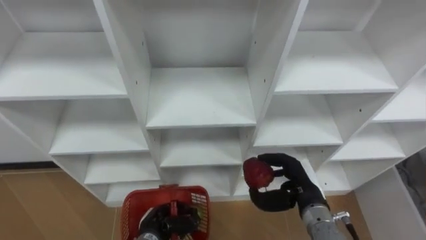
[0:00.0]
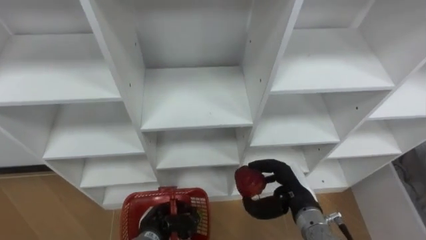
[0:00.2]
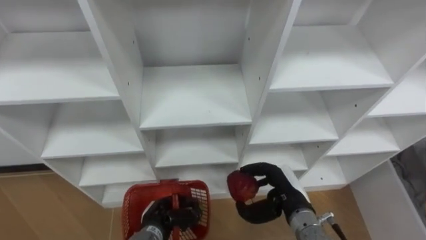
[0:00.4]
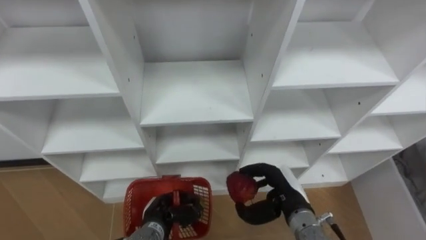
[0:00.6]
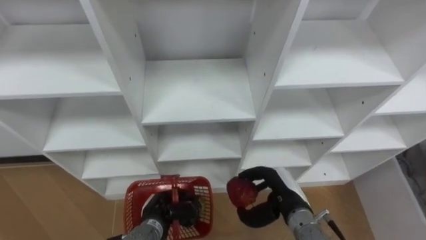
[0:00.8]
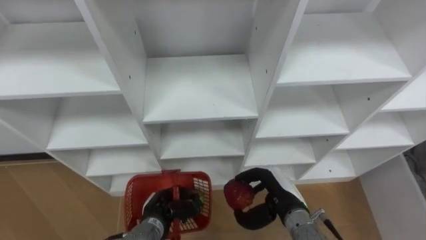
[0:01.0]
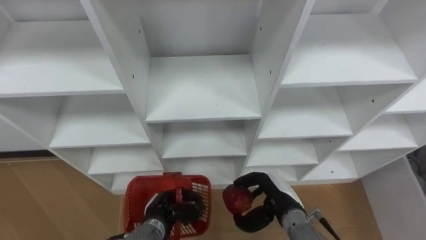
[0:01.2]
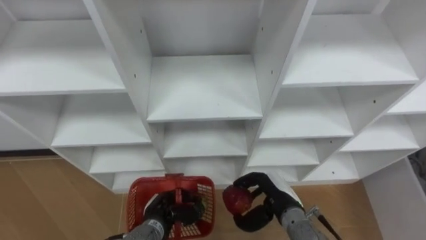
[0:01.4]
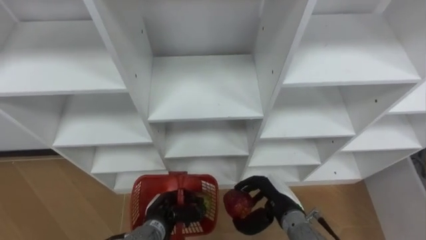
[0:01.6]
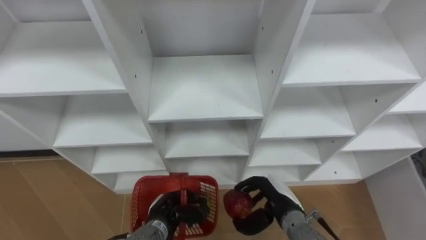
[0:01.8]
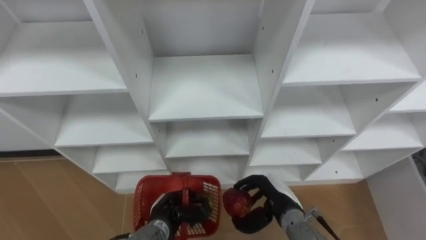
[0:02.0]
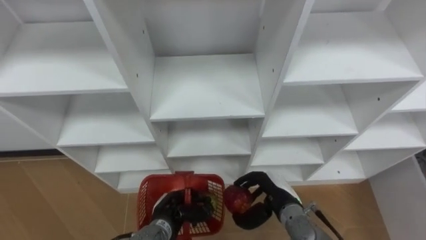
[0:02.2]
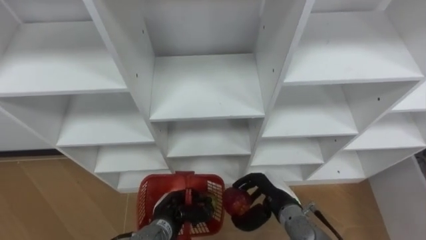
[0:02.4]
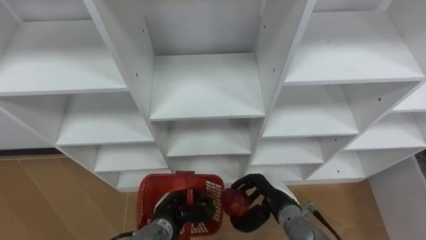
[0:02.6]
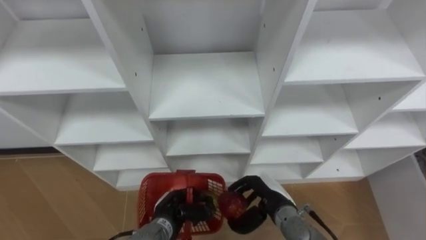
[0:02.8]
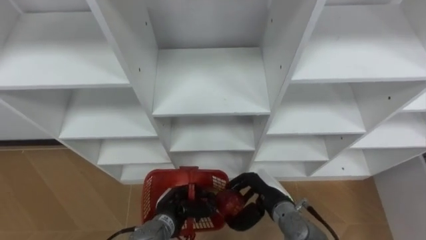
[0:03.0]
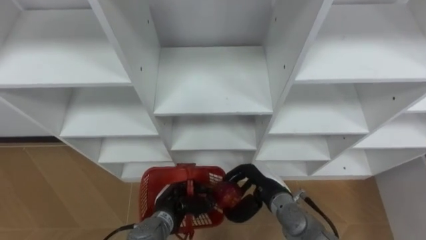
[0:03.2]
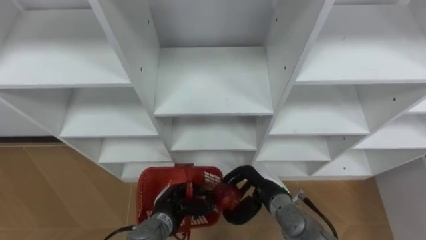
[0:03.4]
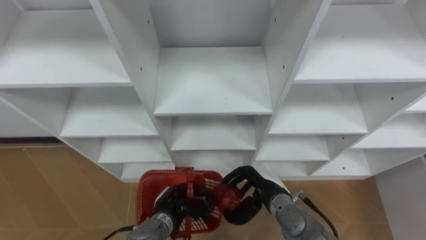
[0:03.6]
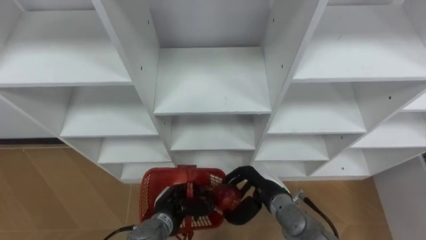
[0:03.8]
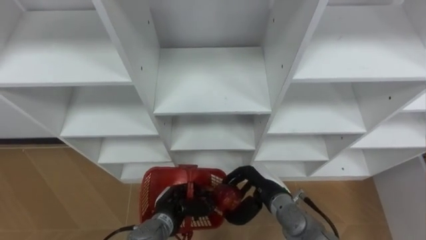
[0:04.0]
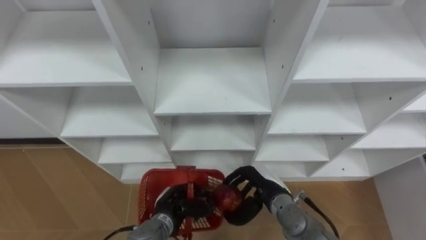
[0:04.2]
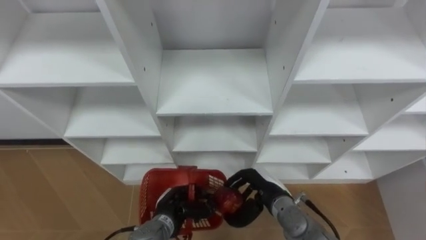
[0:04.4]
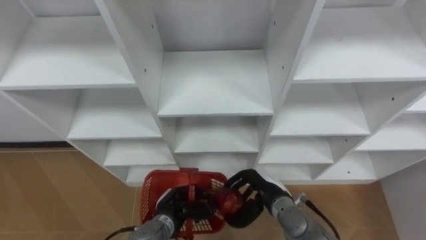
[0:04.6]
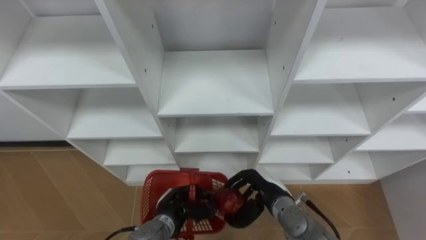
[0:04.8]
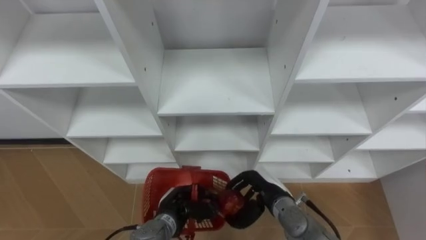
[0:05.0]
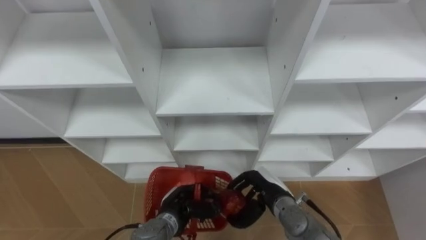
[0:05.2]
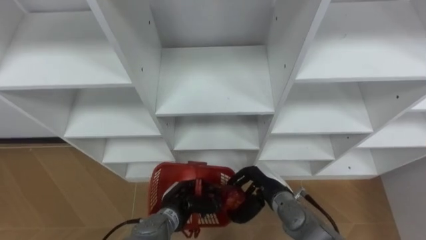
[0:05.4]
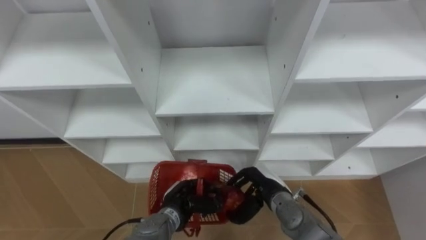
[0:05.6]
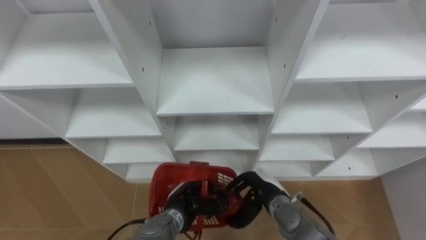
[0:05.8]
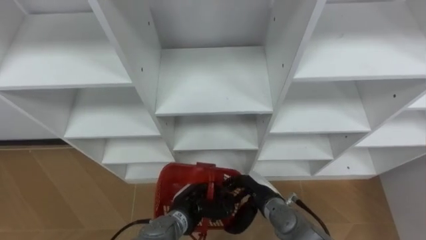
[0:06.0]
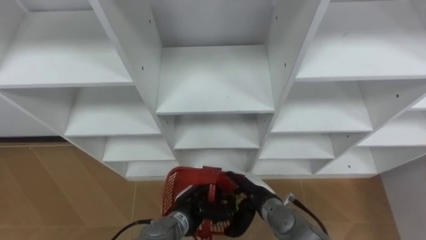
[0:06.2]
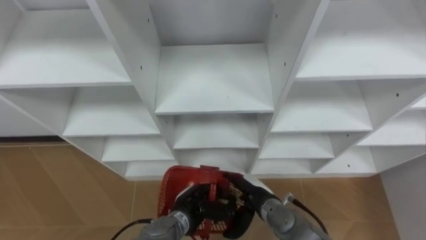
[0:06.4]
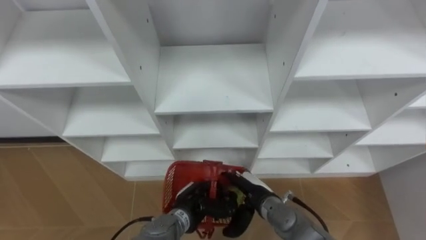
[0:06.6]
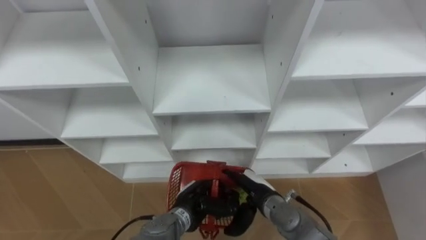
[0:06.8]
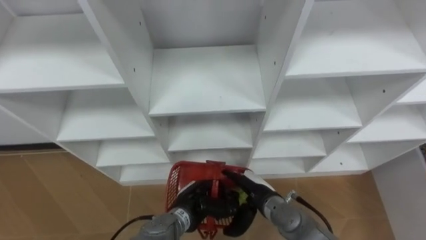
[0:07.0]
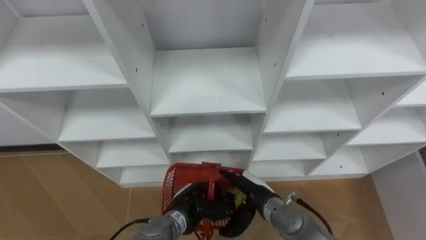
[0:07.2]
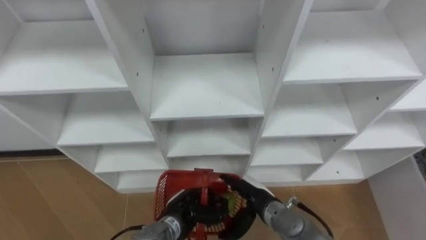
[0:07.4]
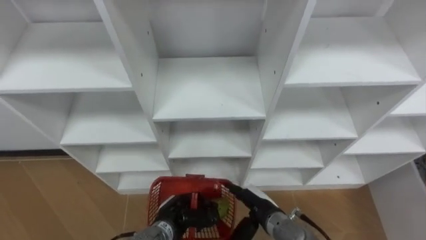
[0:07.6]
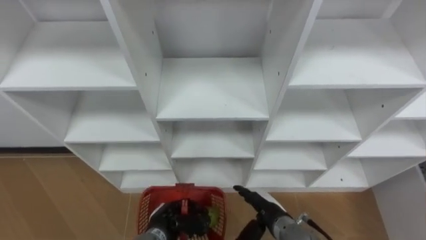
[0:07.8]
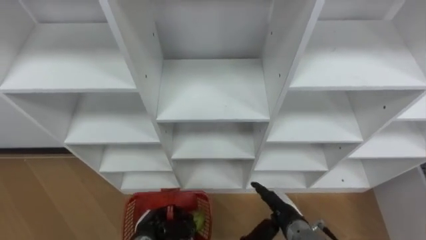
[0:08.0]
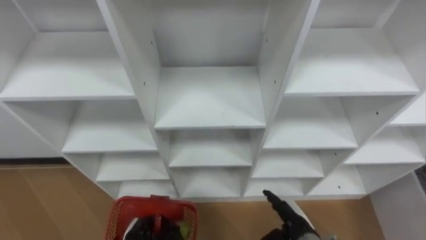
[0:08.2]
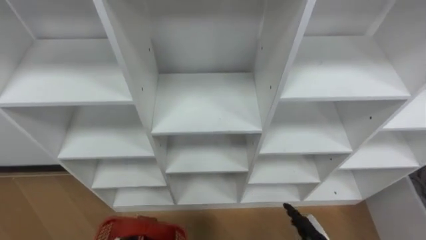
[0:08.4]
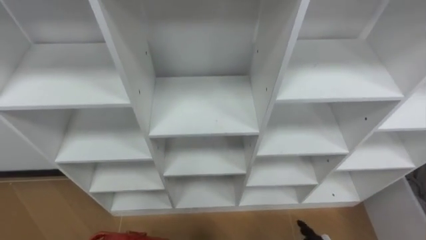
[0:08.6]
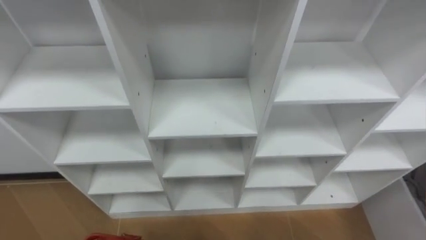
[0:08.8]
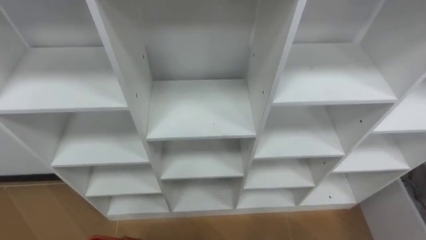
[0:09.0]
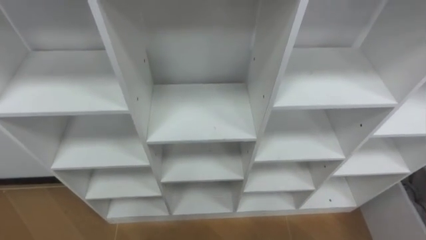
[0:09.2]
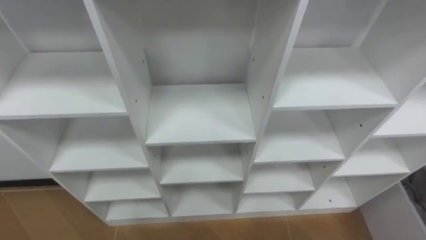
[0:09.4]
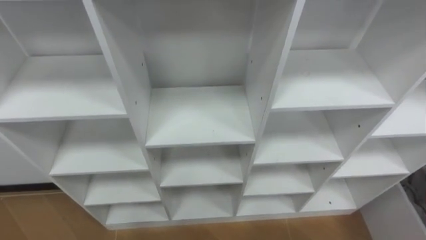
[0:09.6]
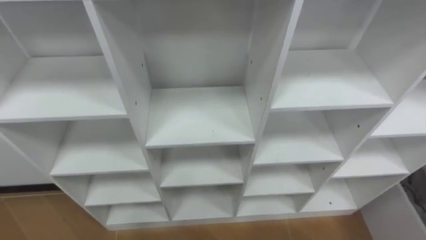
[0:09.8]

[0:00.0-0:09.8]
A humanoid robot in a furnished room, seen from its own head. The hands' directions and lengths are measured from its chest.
Task of the whole recording: Hold the basket and collect the fruits from 3 different cells of the closet into it.
0:00.0 to 0:01.4: The right hand moves to the left, some 5 cm.
0:01.4 to 0:05.6: The hands stay close to where they were, moving slightly.
0:05.6 to 0:07.0: The right hand opens.
0:07.0 to 0:08.4: The right hand is displaced to the right and backward by roughly 15 cm.

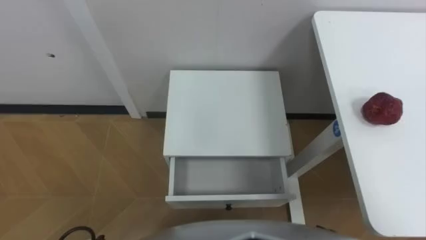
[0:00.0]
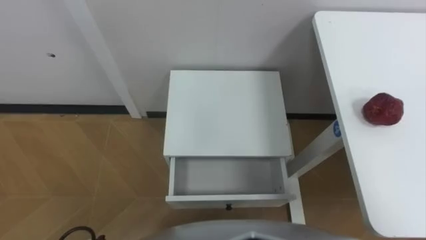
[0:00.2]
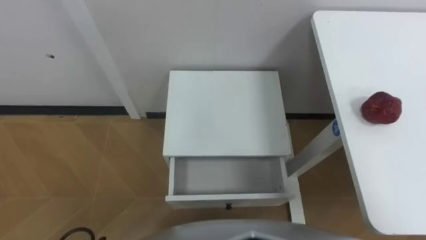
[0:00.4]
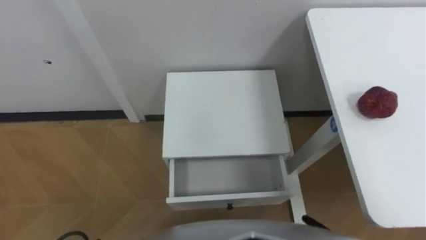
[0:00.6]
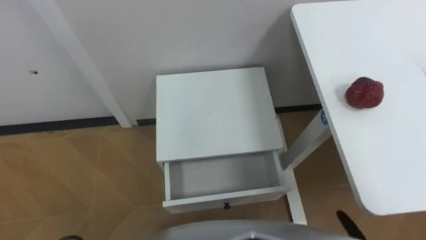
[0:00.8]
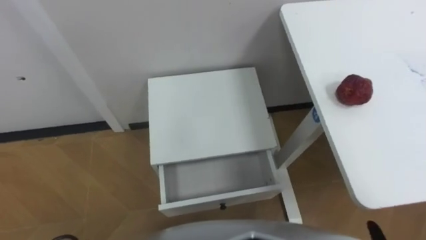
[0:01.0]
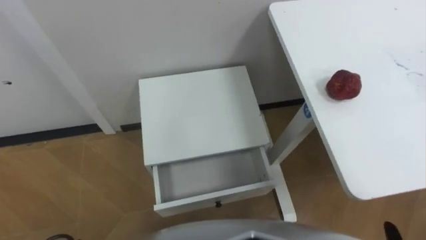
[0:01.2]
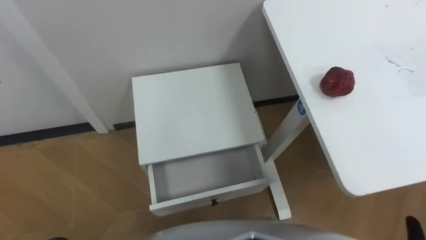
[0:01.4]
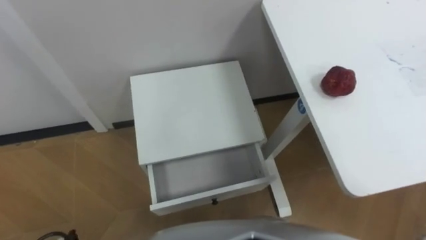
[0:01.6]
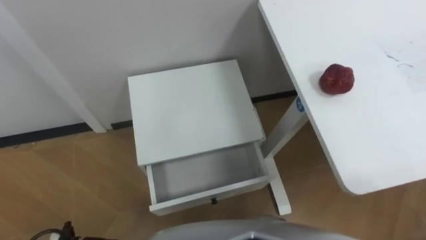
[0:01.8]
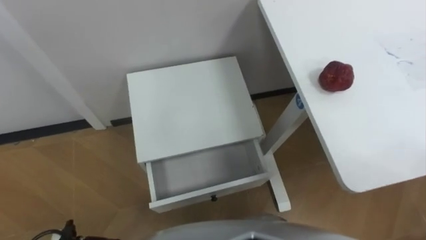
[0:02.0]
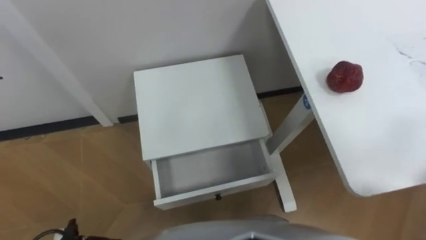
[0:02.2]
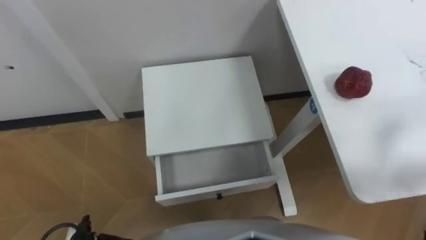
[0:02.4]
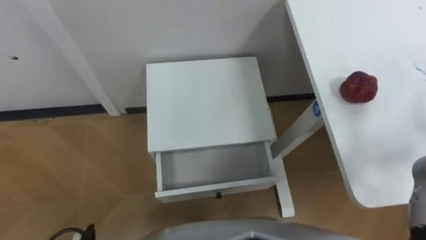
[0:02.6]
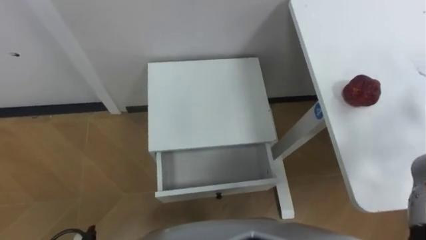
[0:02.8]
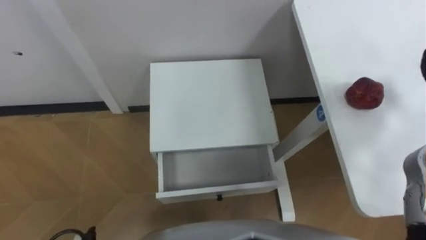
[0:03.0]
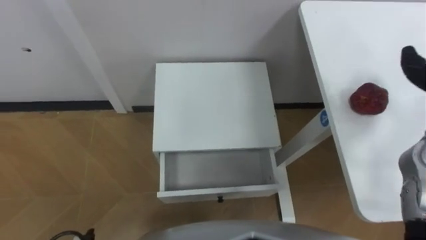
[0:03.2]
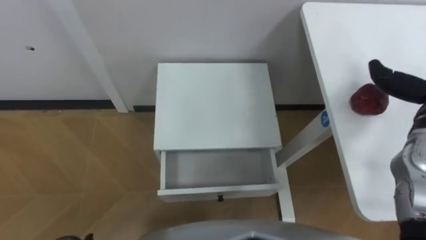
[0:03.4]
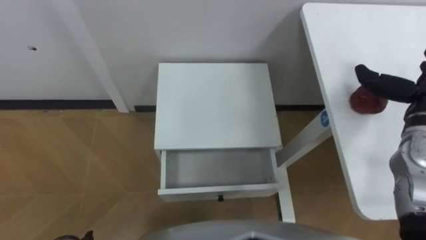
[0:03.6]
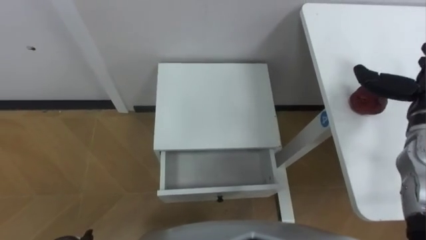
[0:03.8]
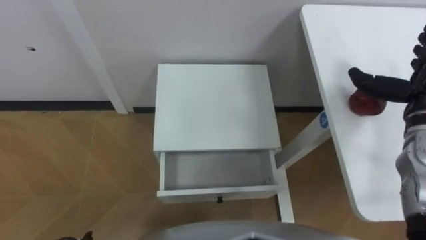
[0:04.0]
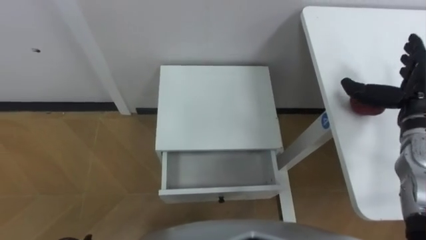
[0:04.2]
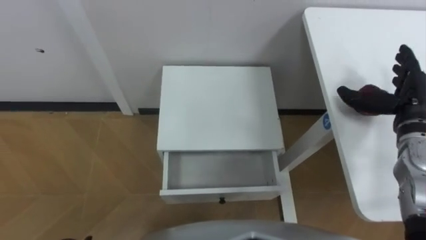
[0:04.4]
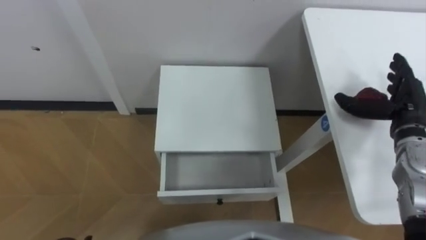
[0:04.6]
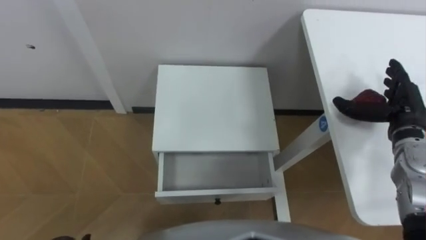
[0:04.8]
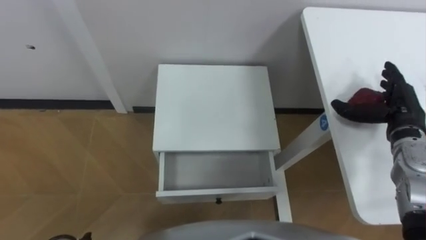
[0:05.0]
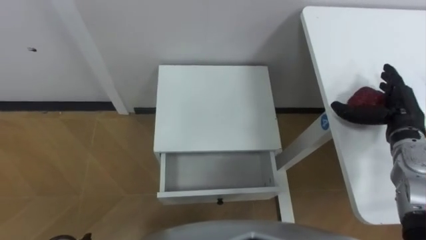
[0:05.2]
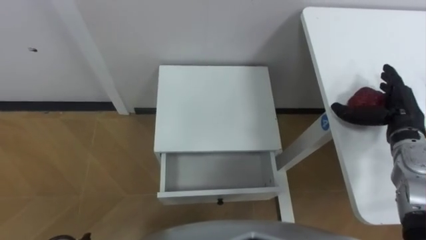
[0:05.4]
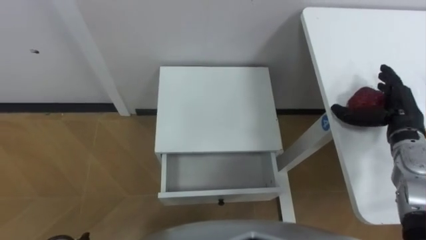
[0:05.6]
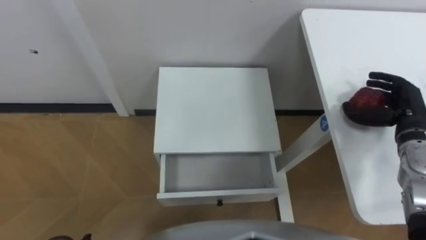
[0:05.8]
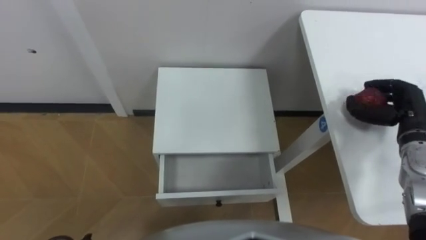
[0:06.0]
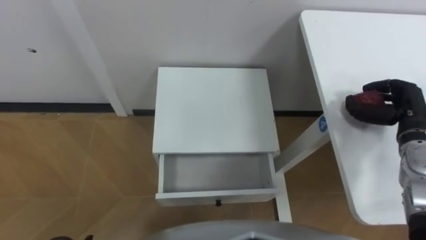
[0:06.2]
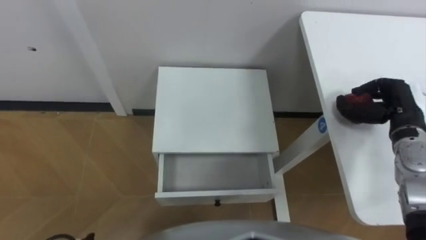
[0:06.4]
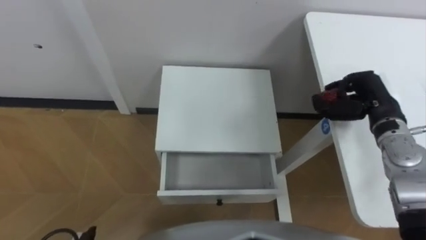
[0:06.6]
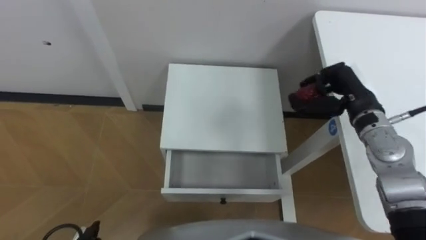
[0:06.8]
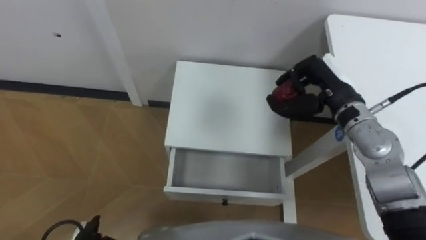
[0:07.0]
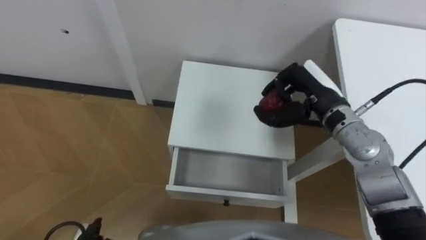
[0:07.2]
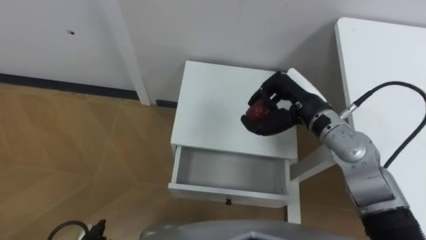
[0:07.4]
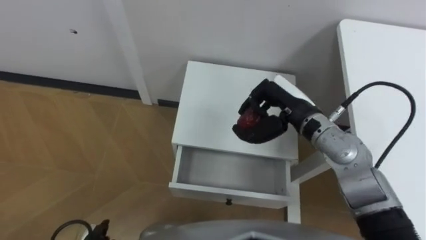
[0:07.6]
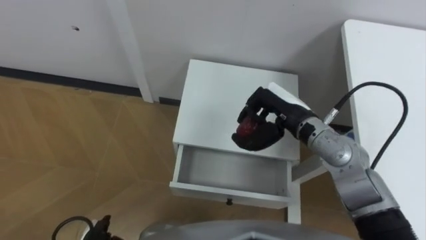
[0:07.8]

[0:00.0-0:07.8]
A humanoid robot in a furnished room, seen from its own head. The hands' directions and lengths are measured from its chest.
Task of the whole recording: Pick up the apple from the table, put it in the drawer, and close the drawer with leg.
0:04.6 to 0:06.2: The right hand closes its fingers.
0:06.2 to 0:07.8: The right hand heads to the left, covering approximately 25 cm.
